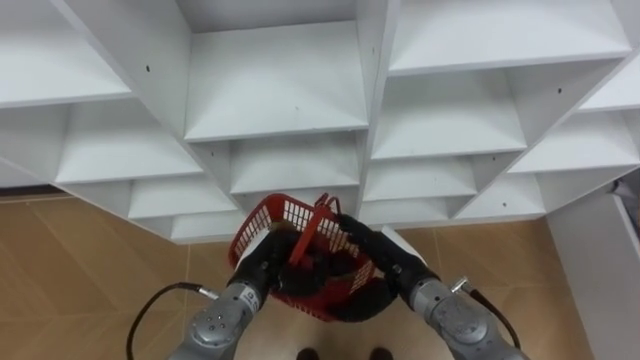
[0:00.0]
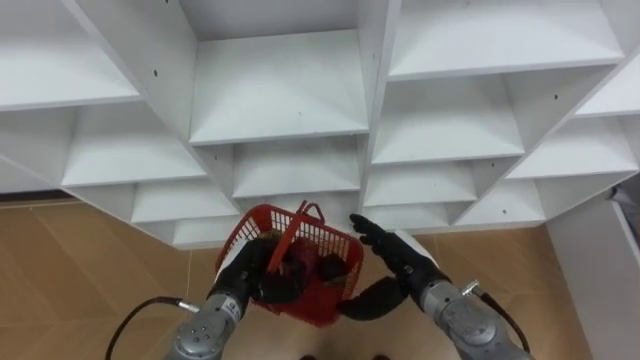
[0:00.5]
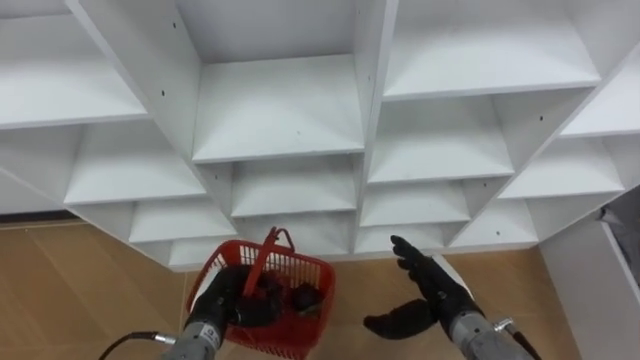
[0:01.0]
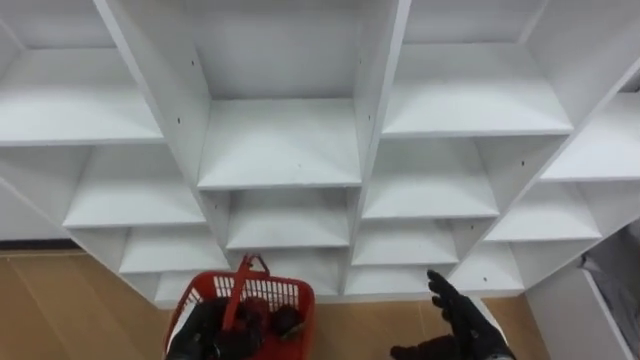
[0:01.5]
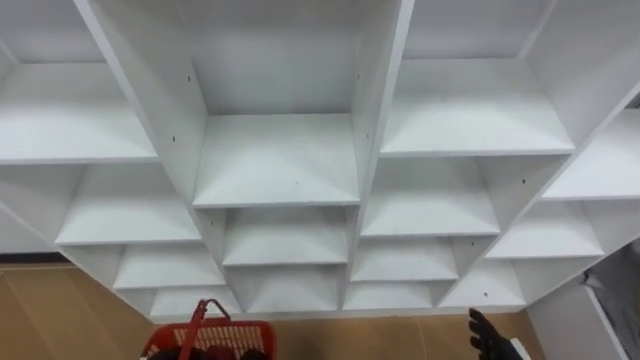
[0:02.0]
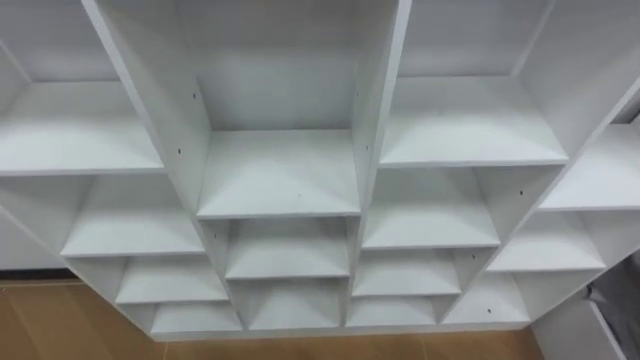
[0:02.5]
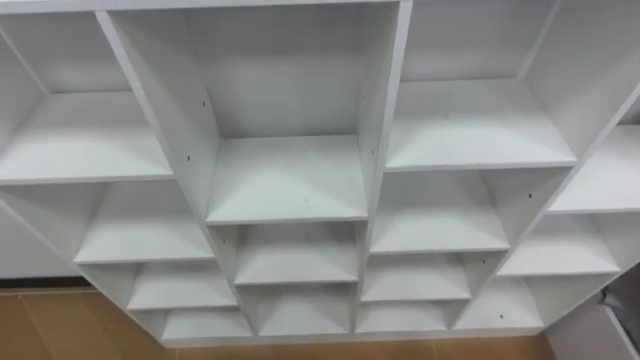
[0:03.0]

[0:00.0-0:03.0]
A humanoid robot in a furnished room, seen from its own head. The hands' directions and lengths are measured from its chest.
Task of the whole recording: Hold the basket and collect the fruits from 3 different cells of the closet into it.
0:00.0 to 0:01.5: The left hand shifts some 15 cm to the left, backward and downward, while the right hand travels to the right, backward and downward by roughly 15 cm.
